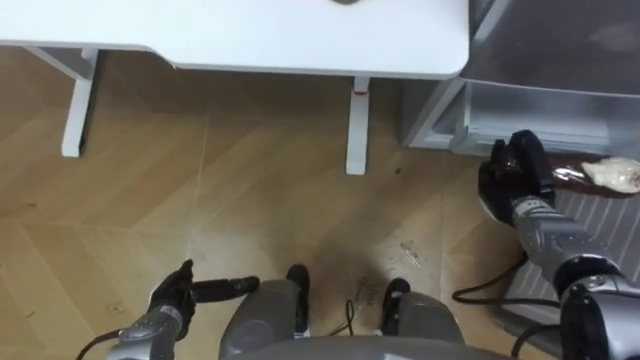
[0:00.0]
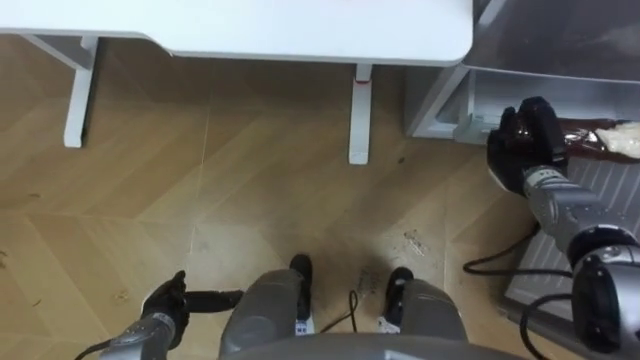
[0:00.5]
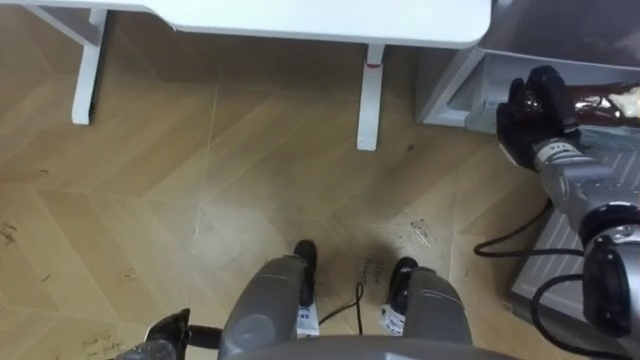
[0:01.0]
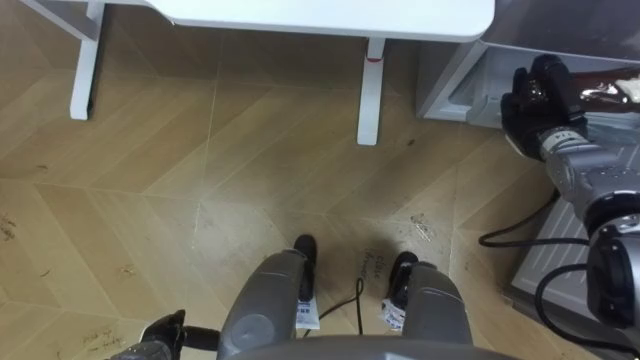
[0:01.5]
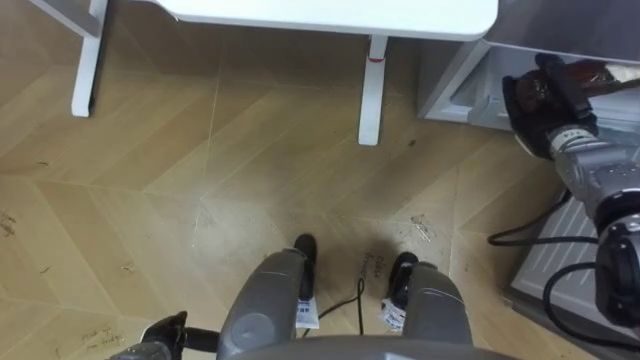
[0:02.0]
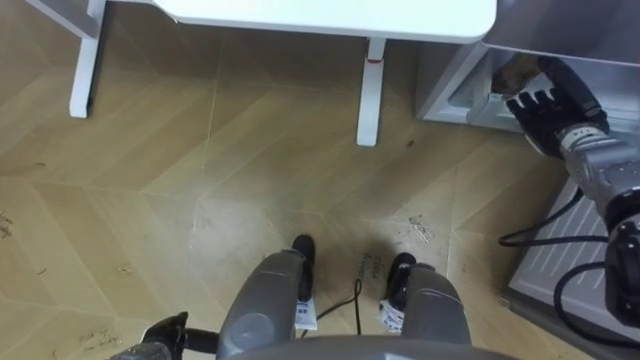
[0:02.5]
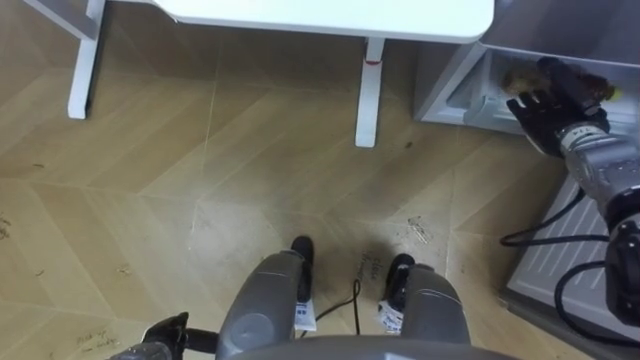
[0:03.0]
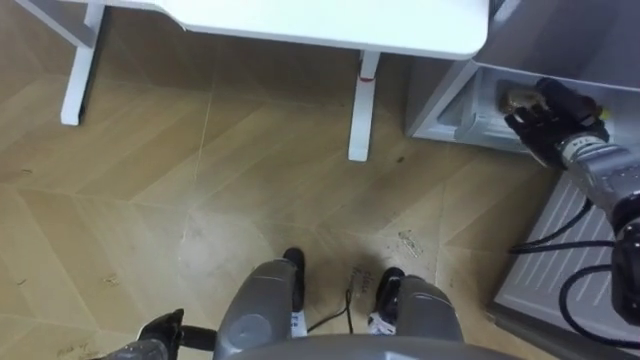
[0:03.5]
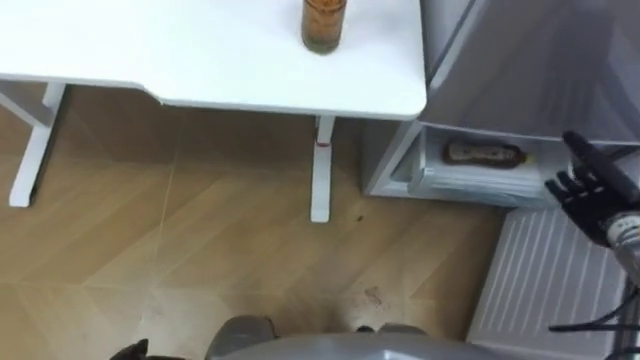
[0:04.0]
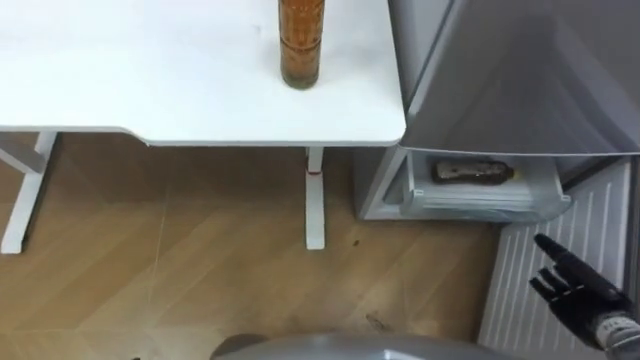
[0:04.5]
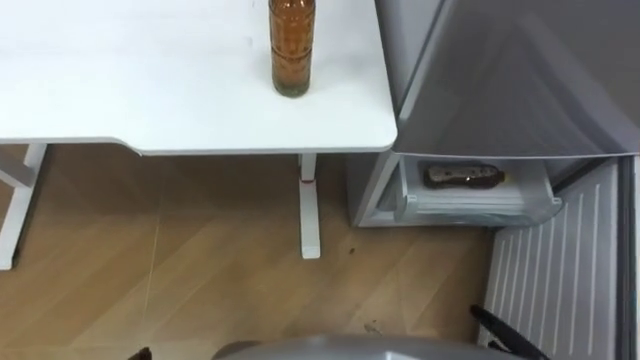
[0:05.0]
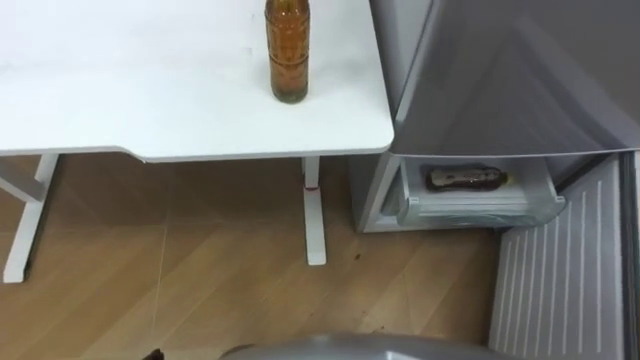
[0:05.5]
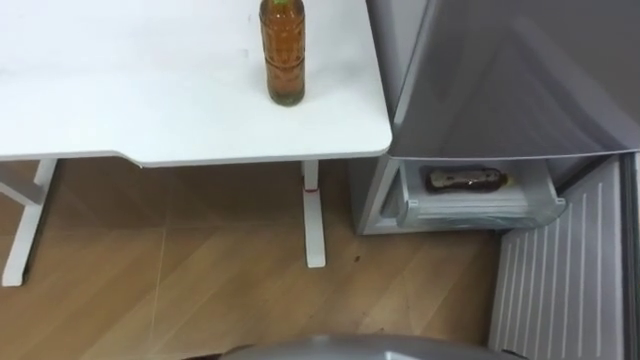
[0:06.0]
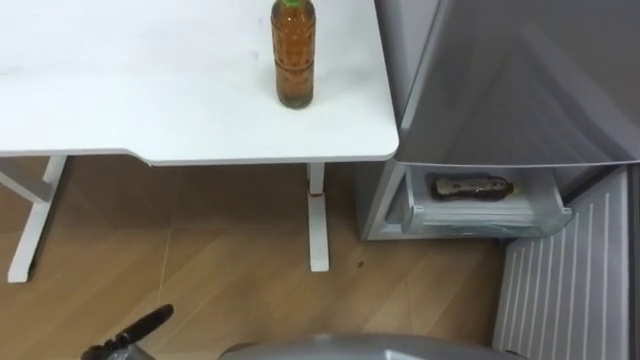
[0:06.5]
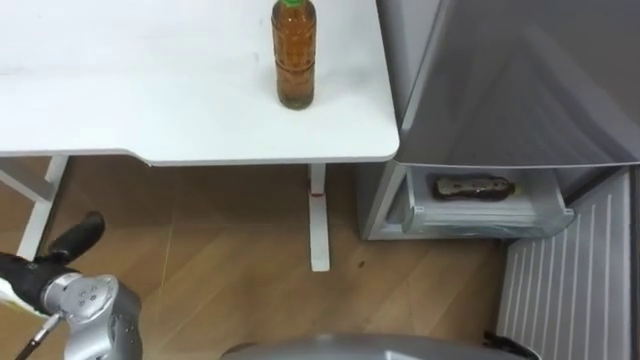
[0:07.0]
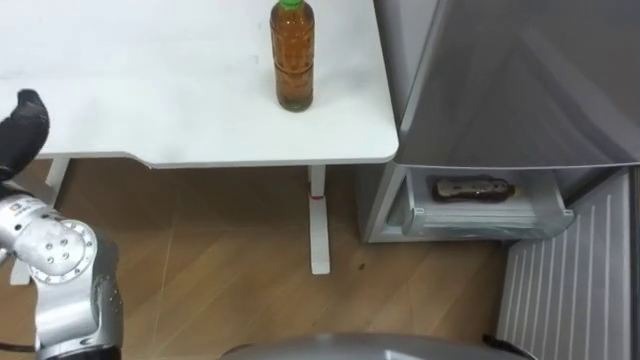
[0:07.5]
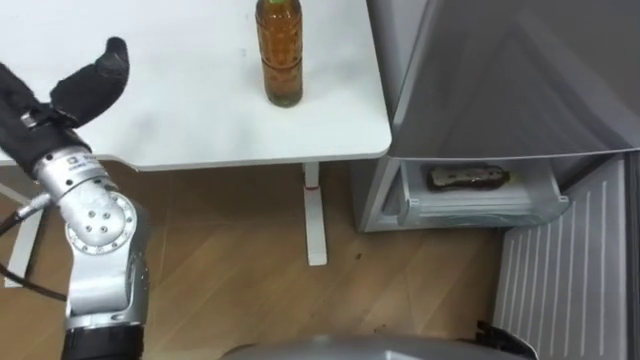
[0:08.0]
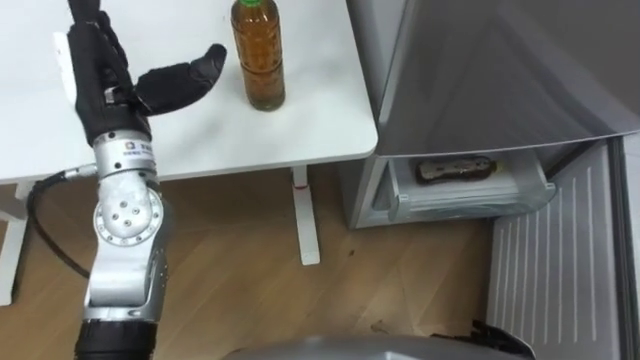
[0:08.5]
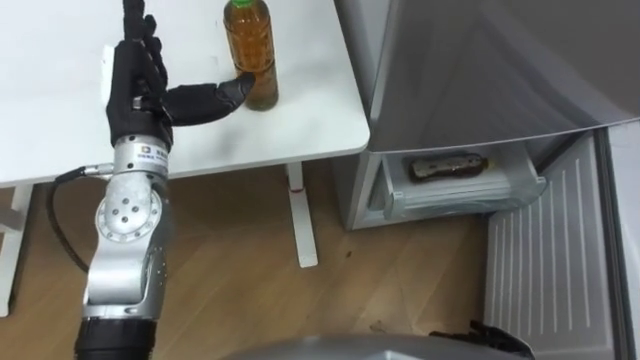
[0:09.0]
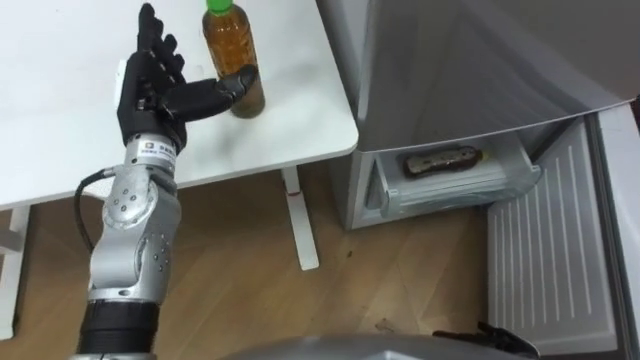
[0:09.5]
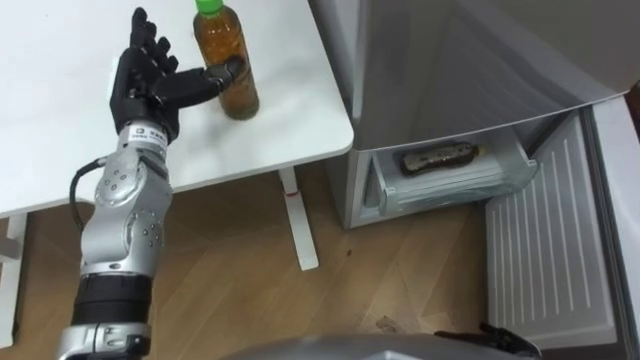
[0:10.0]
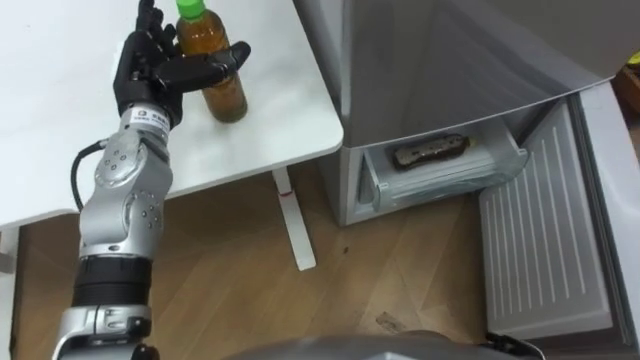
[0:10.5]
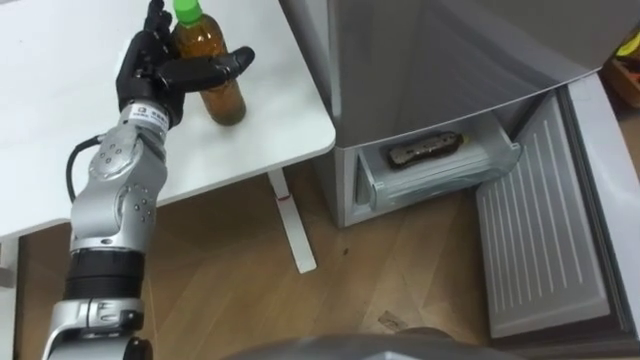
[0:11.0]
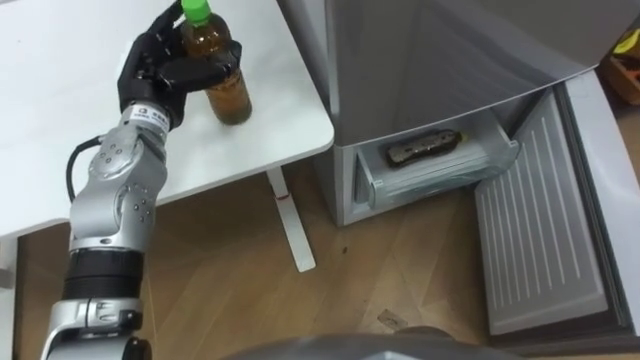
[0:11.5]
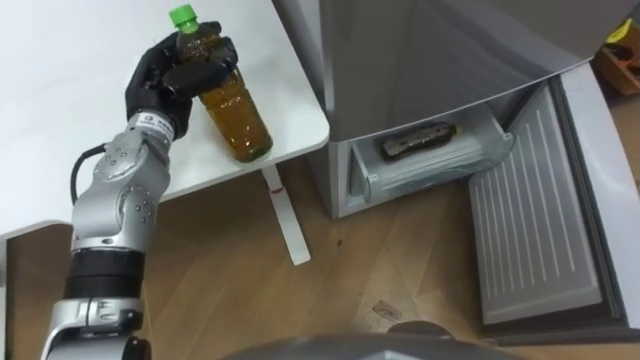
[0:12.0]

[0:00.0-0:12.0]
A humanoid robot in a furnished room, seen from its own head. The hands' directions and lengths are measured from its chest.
Task of the whole recording: Place the drink on the table on the bottom shelf of the refrigerator, then close the drawer and the refrigerator door.
0:00.0 to 0:02.0: The right hand shifts approximately 10 cm upward and forward, and opens; the left hand moves backward, some 5 cm.
0:02.0 to 0:04.0: The right hand shifts about 15 cm backward and to the right.
0:08.0 to 0:10.0: The left hand moves forward, to the right and downward, approximately 15 cm.
0:10.0 to 0:12.0: The left hand closes its fingers.

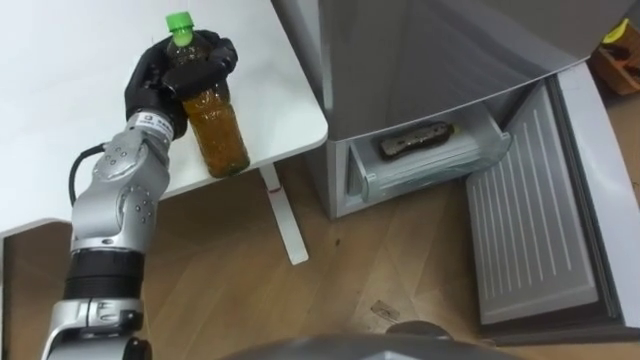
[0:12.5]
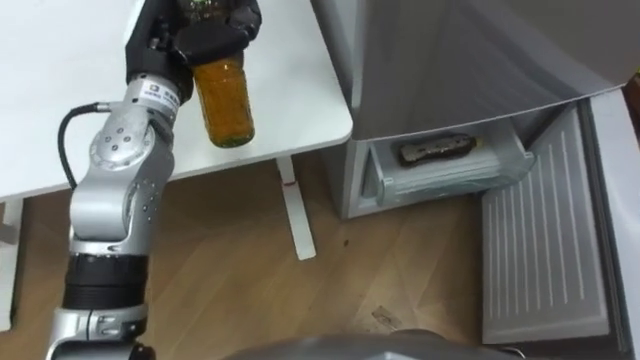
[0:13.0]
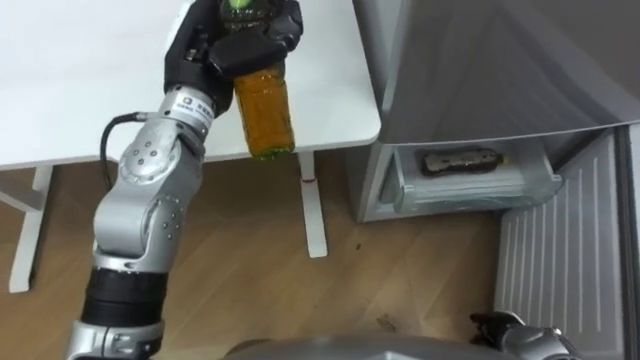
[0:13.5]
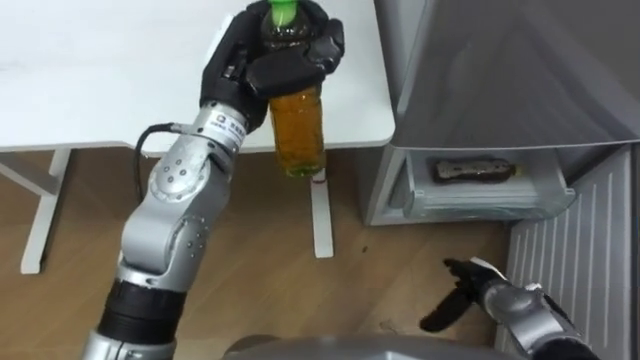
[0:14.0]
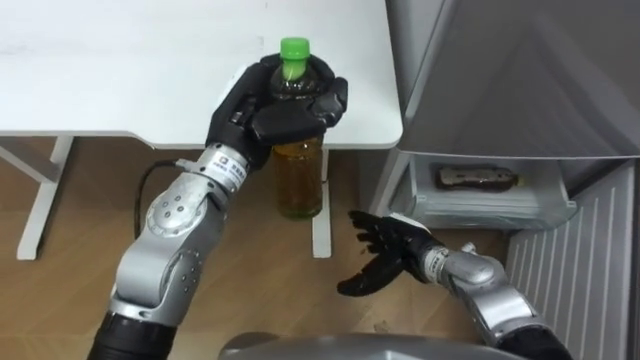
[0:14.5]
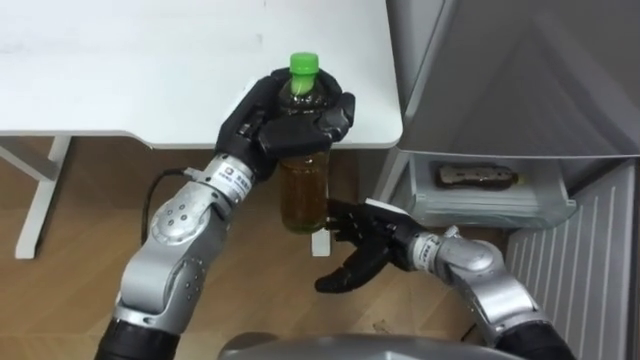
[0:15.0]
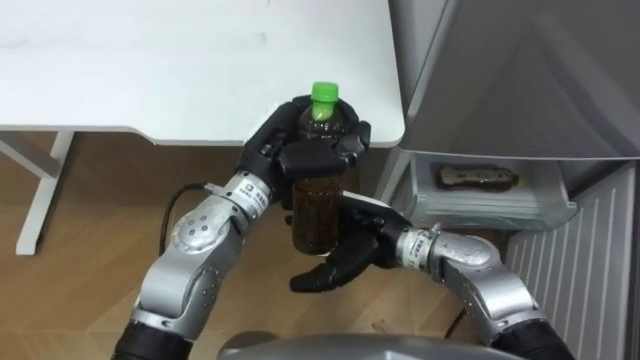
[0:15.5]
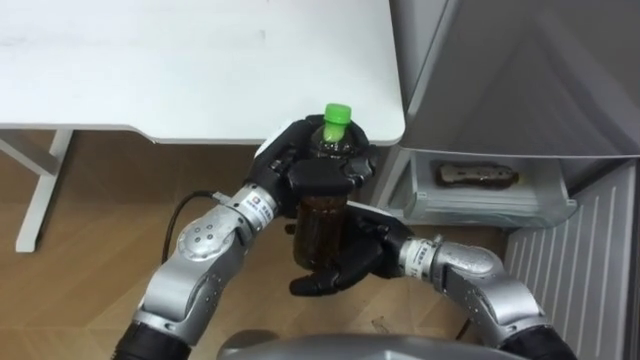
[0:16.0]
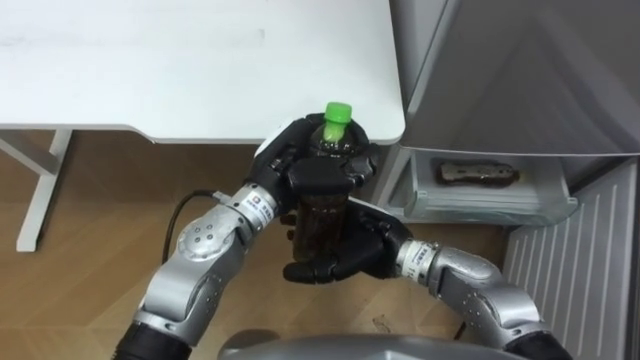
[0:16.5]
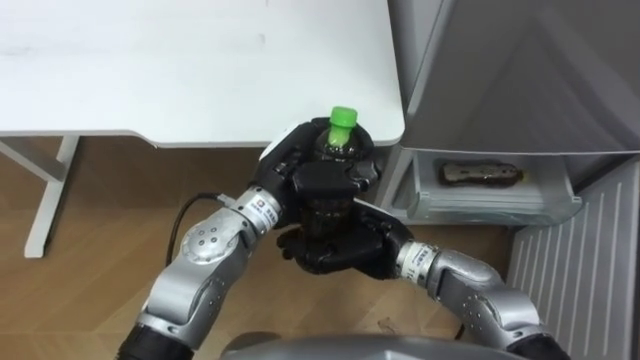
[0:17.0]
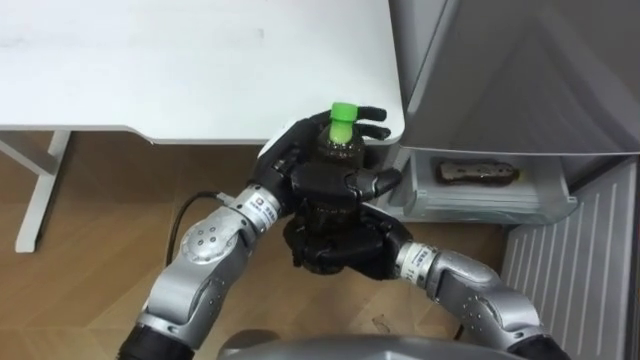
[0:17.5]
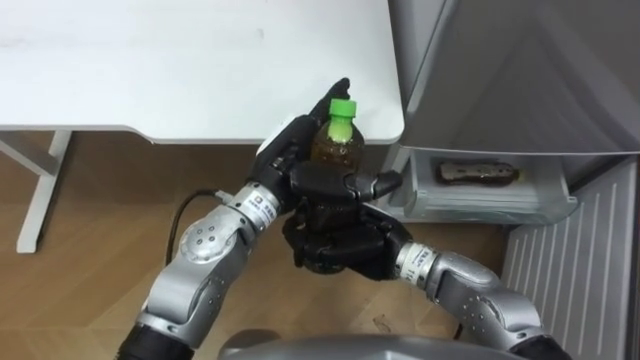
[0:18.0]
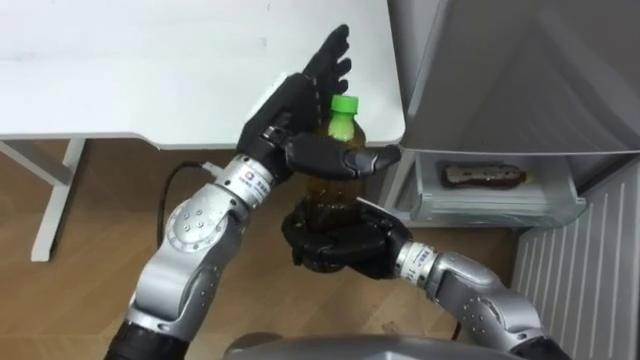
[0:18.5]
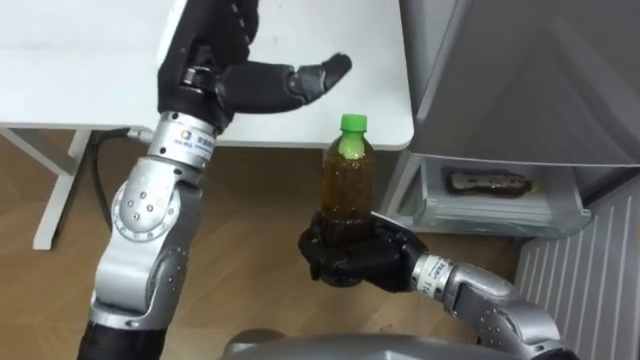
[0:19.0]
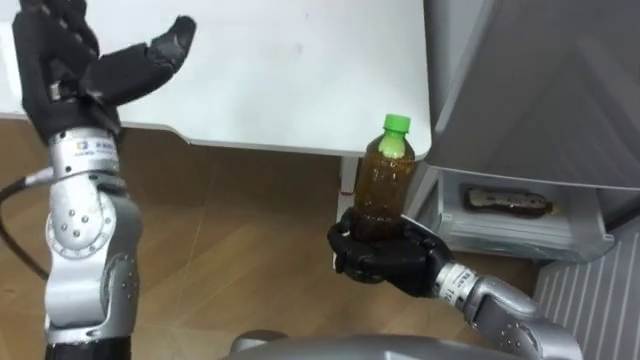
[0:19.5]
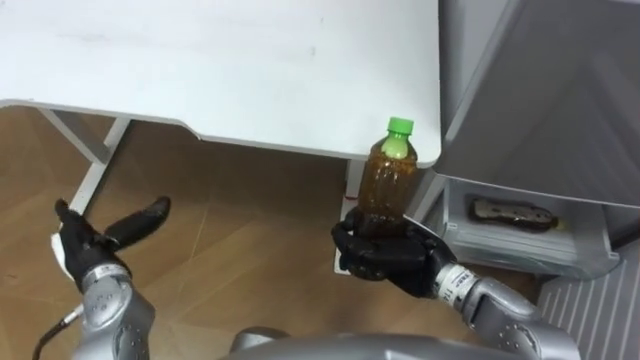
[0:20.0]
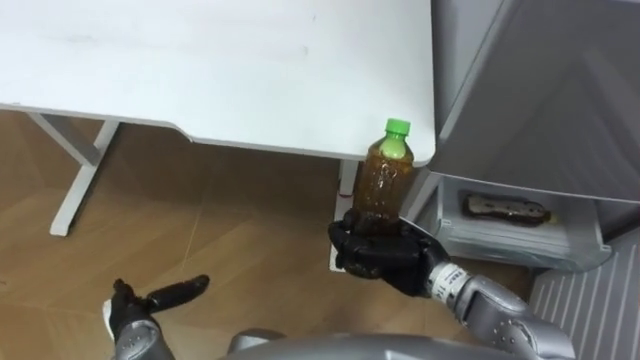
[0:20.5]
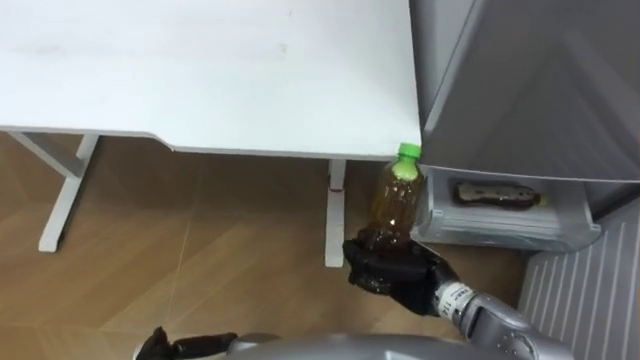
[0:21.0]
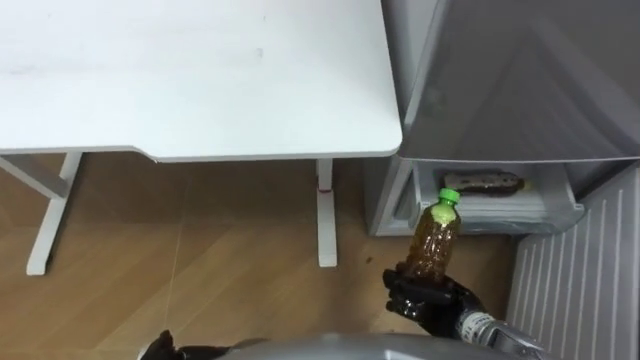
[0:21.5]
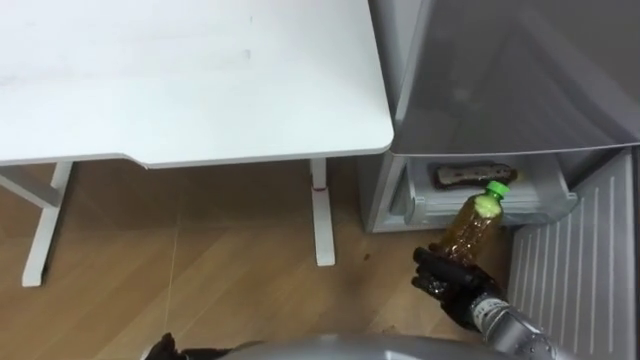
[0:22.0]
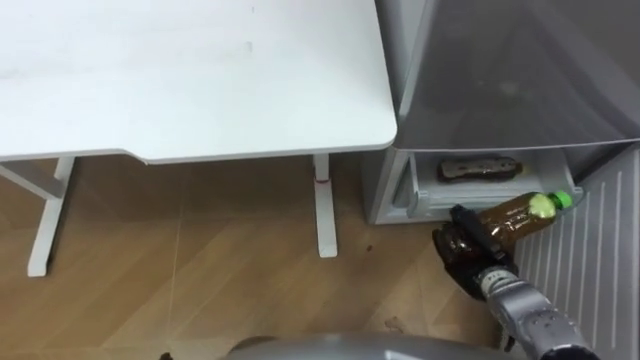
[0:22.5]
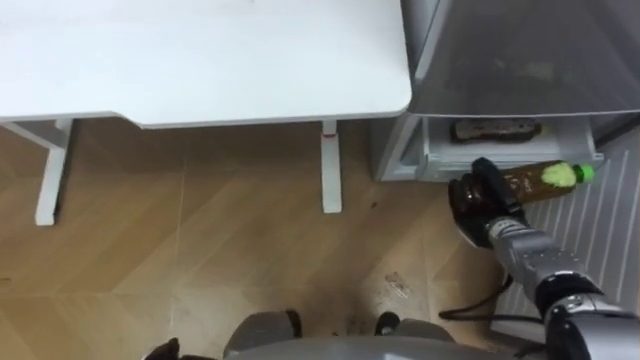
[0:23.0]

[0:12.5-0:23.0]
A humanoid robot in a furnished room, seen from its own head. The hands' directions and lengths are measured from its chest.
Task of the whole recording: Place the drink on the table on the bottom shelf of the refrigerator, then close the drawer and the refrigerator door.
0:12.5 to 0:14.5: The left hand is displaced to the right and backward by approximately 15 cm.
0:14.5 to 0:16.5: The right hand moves upward and to the left, approximately 10 cm, while the left hand heads downward, covering approximately 5 cm.
0:16.5 to 0:19.0: The left hand travels upward and to the left by some 15 cm, and opens up. The right hand closes.
0:19.0 to 0:21.0: The right hand travels to the right and downward by roughly 10 cm.
0:21.0 to 0:23.0: The right hand travels to the right and forward by roughly 15 cm.
